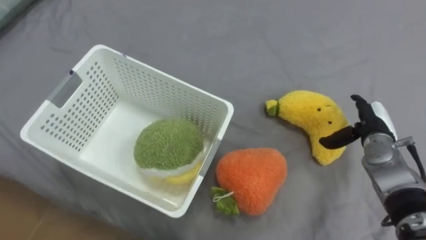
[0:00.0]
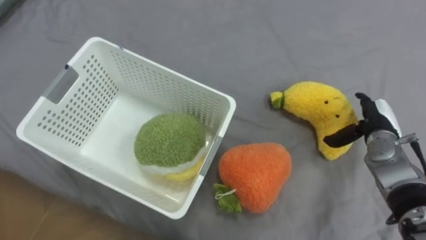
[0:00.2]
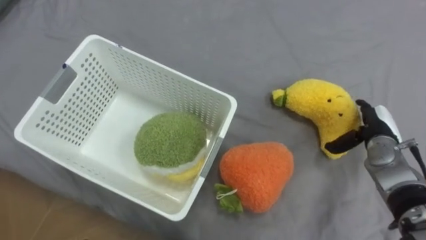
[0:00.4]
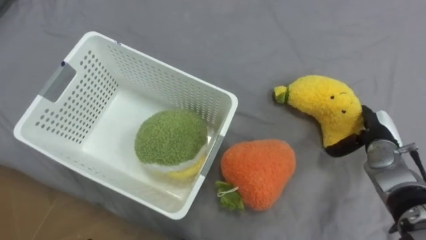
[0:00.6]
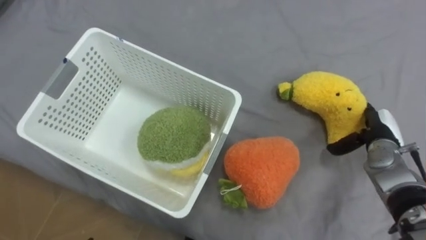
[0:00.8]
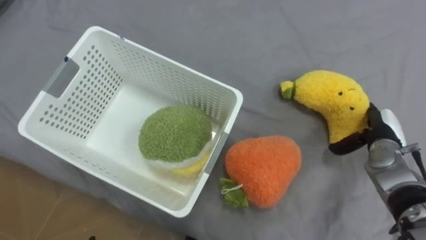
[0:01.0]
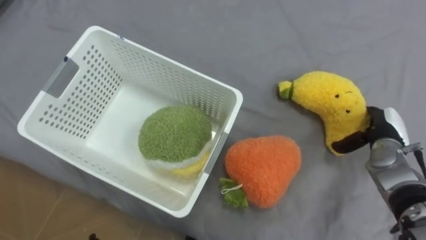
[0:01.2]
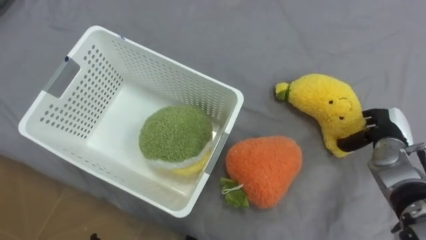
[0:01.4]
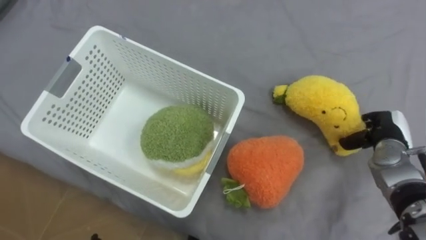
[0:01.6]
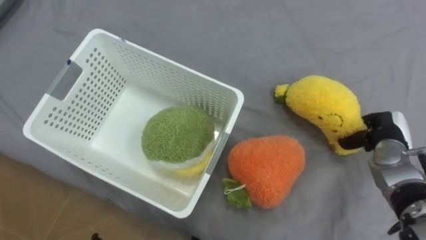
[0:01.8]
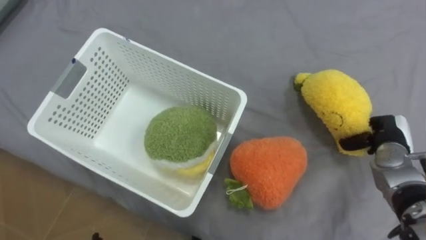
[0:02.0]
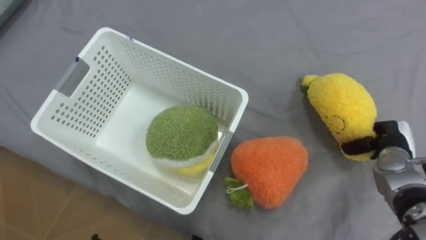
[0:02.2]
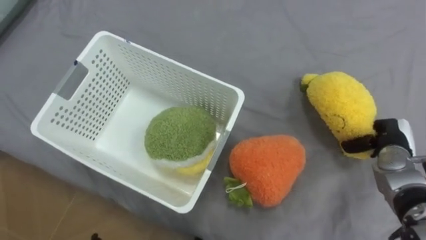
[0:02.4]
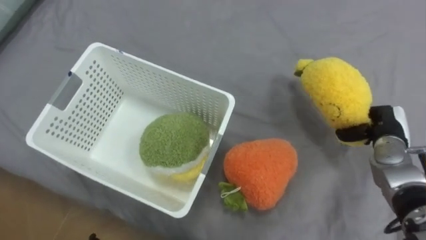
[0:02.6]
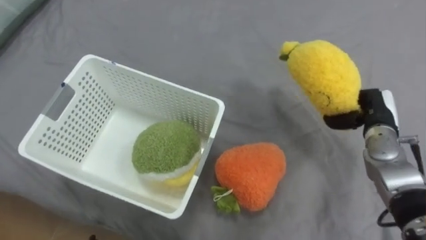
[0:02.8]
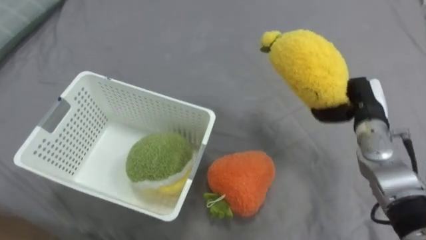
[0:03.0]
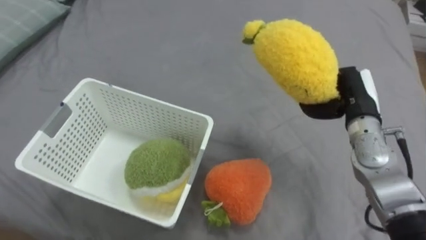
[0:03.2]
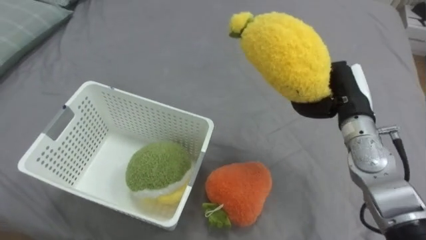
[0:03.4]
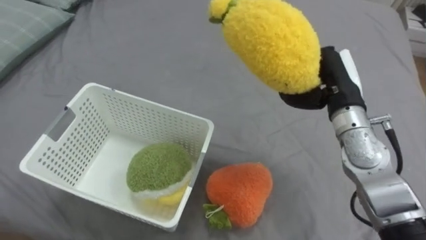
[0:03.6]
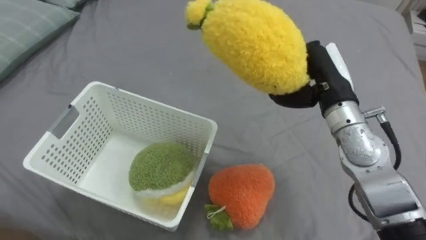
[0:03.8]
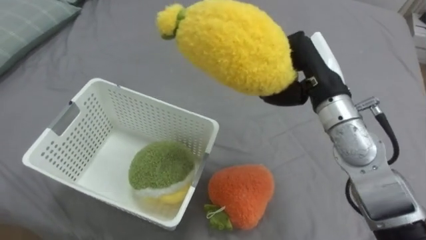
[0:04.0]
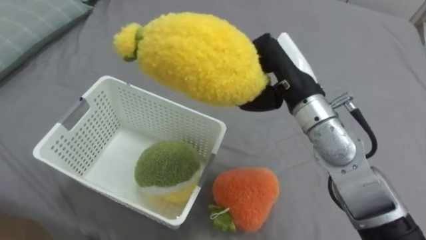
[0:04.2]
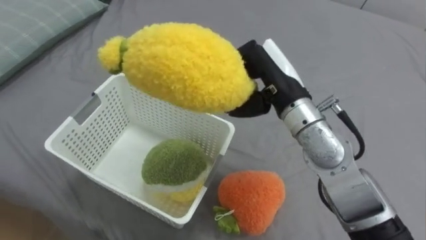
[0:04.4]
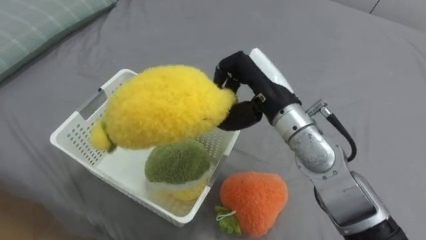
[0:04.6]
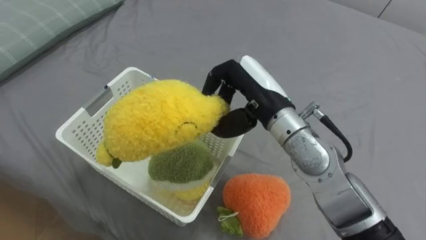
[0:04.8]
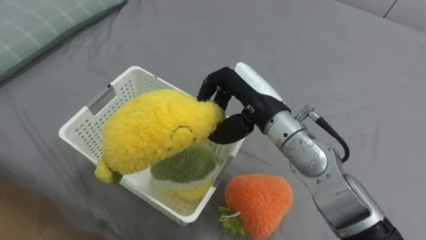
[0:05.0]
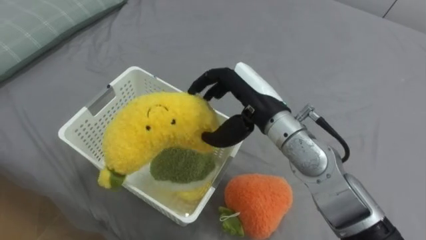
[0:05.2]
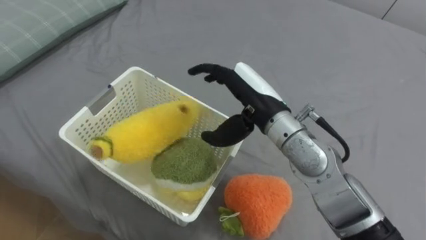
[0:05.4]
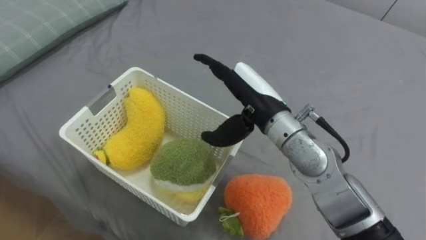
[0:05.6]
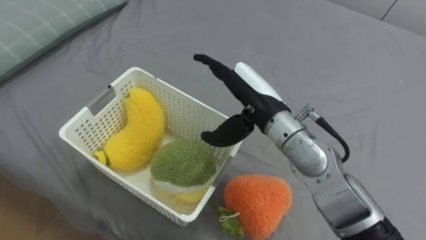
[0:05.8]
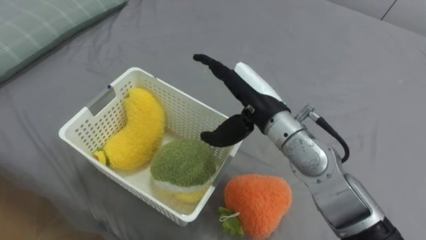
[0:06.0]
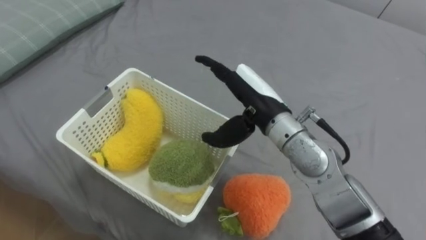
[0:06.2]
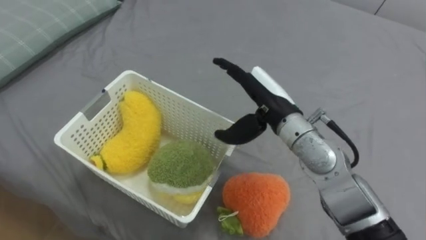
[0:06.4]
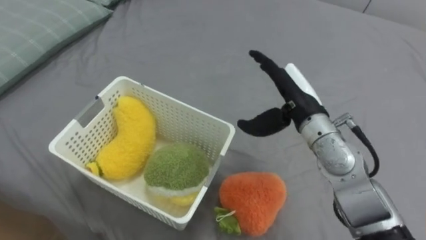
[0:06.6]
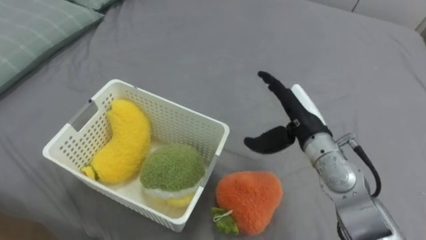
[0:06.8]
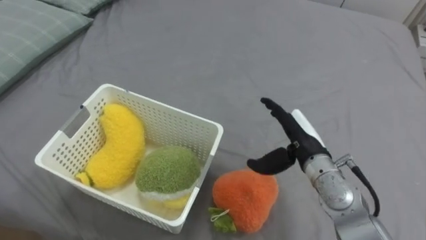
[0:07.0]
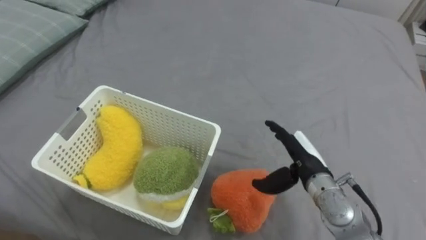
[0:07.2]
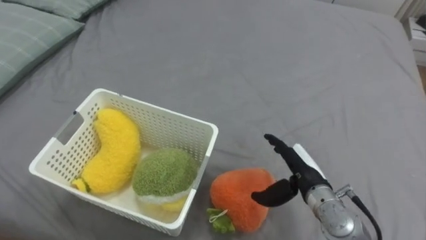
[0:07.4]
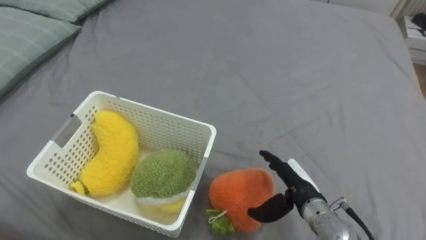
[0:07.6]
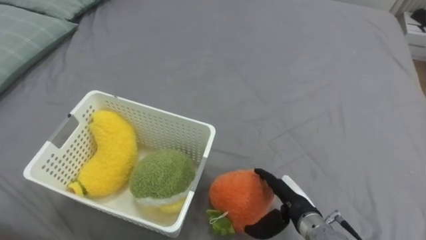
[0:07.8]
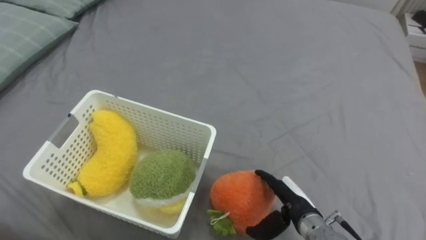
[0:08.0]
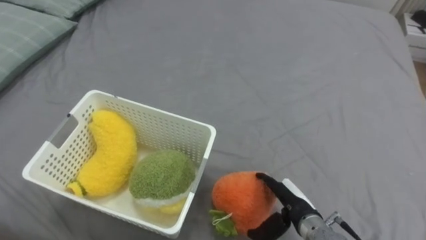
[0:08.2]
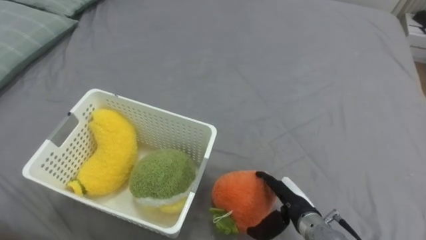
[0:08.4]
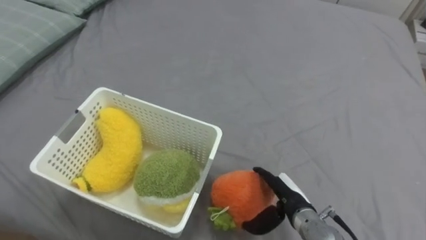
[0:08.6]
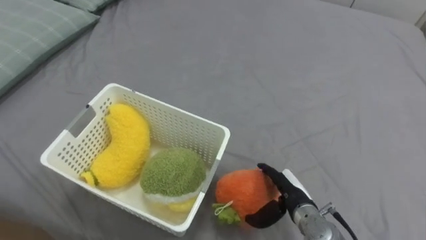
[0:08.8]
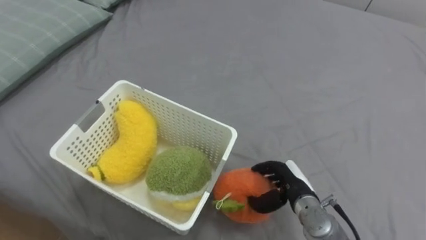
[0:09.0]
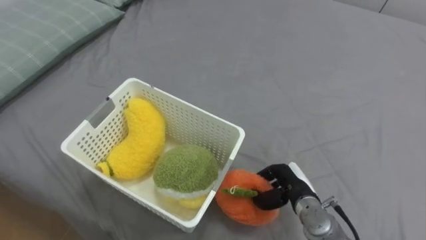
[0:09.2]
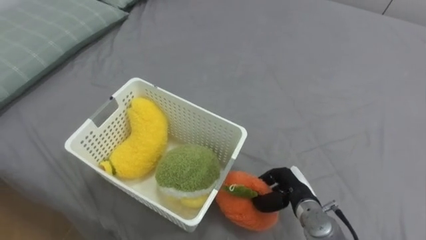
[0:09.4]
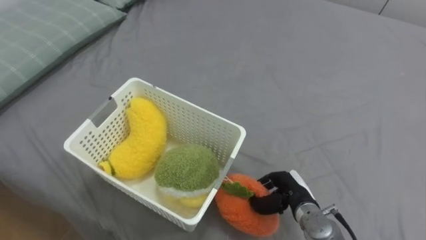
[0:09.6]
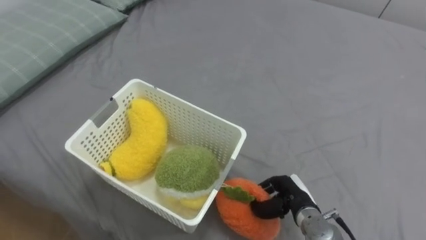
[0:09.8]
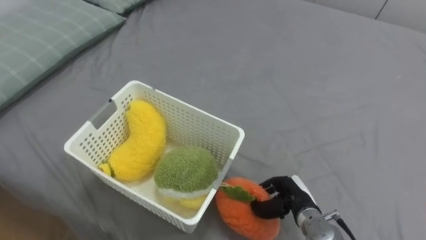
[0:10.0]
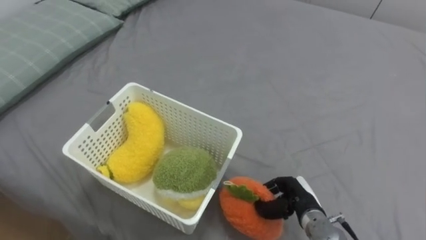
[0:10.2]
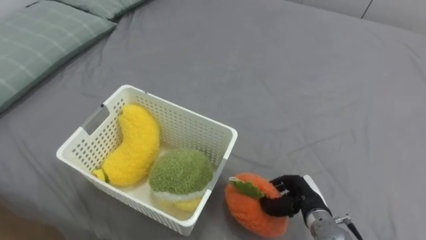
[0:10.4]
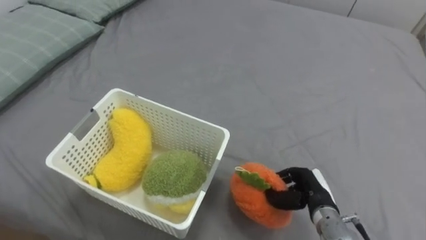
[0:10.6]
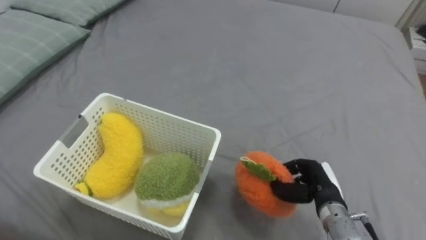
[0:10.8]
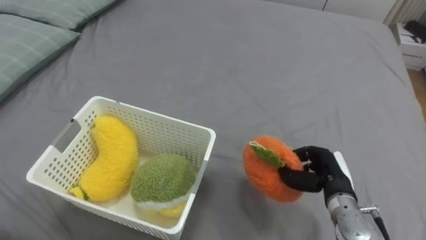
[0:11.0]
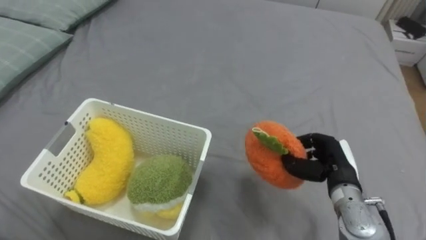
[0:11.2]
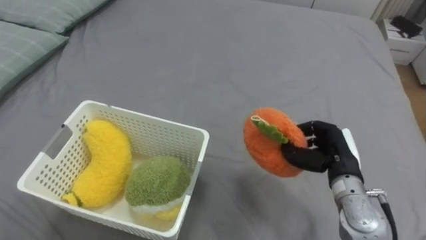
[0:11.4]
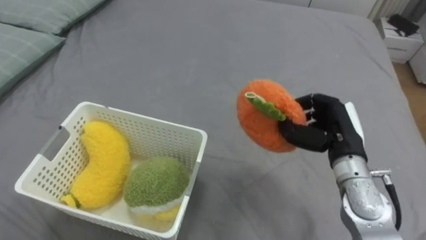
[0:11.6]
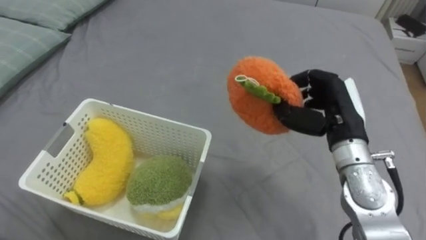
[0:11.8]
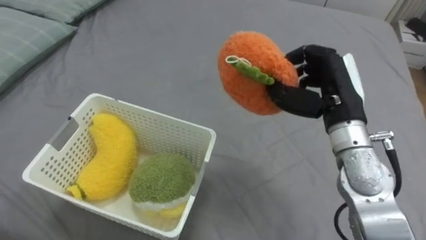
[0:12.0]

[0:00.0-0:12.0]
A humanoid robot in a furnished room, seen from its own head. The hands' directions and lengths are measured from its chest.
Task of the whole recording: Put the toys on the bed into the basket on the left.
0:00.0 to 0:01.6: The right hand closes its fingers.
0:01.6 to 0:03.0: The right hand goes about 10 cm to the left and upward.
0:03.0 to 0:04.4: The right hand goes some 25 cm to the left and upward.
0:04.4 to 0:06.0: The right hand opens up.
0:06.0 to 0:07.6: The right hand goes roughly 20 cm downward and to the right.
0:09.0 to 0:10.4: The right hand closes.
0:10.4 to 0:12.0: The right hand travels upward by roughly 25 cm.

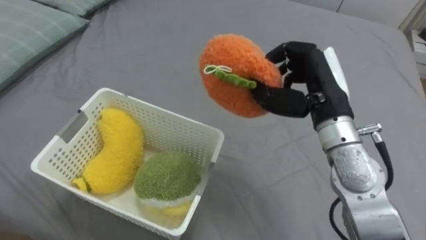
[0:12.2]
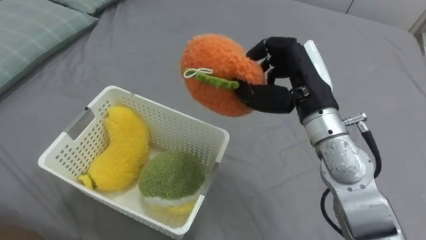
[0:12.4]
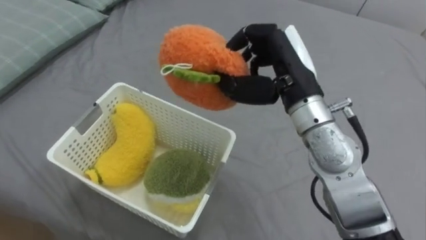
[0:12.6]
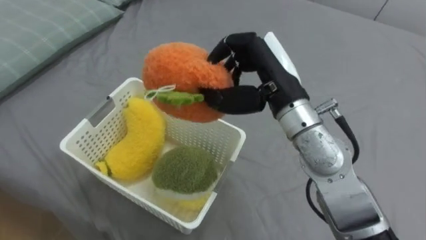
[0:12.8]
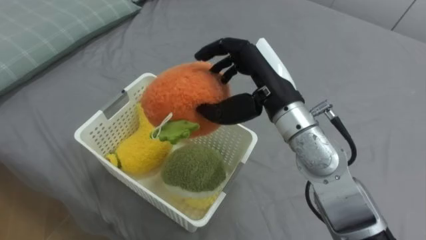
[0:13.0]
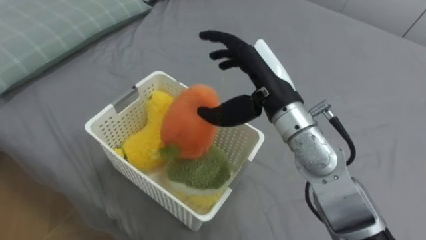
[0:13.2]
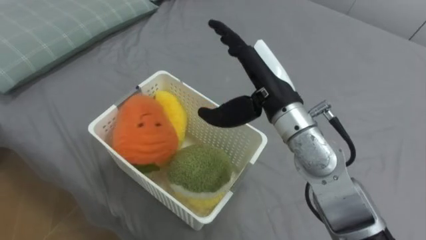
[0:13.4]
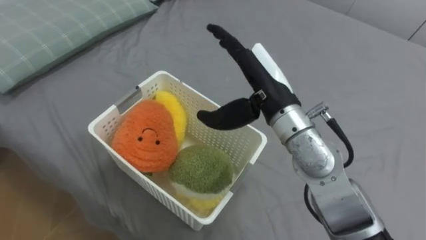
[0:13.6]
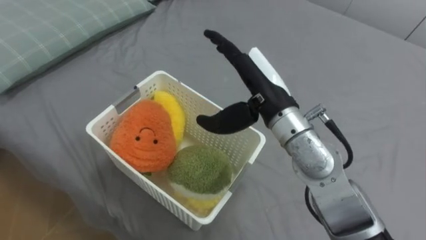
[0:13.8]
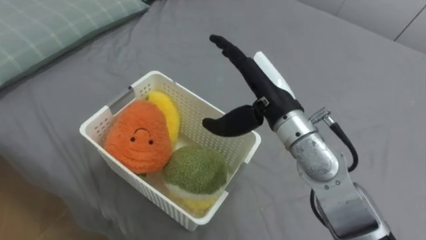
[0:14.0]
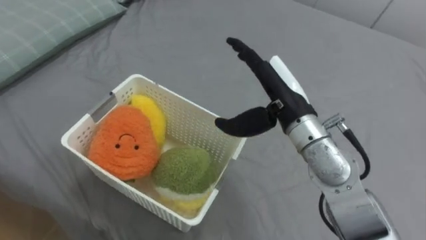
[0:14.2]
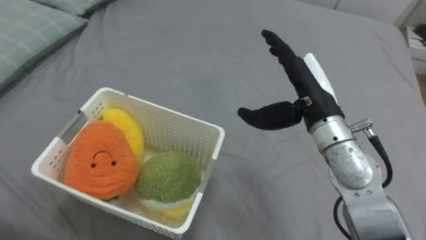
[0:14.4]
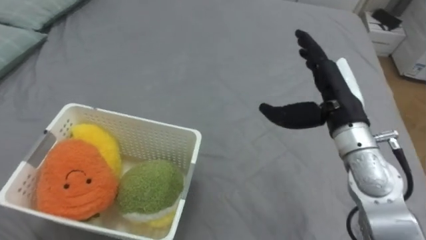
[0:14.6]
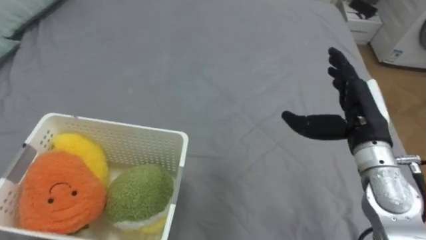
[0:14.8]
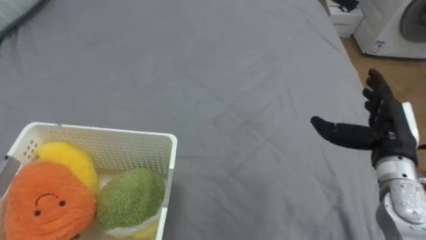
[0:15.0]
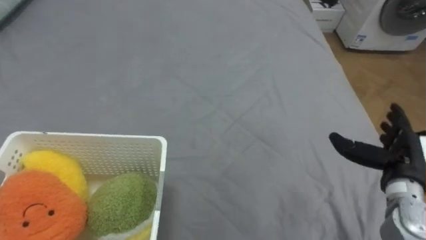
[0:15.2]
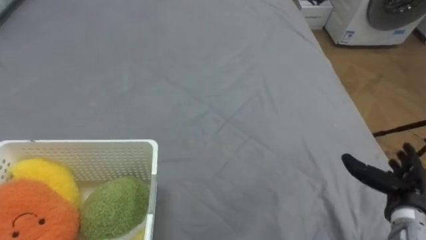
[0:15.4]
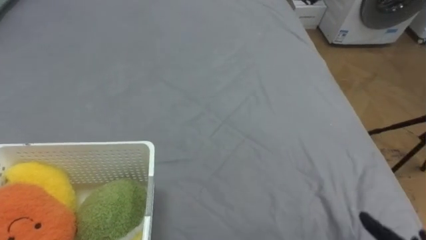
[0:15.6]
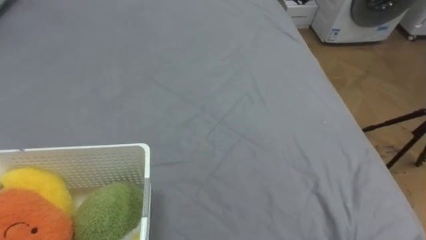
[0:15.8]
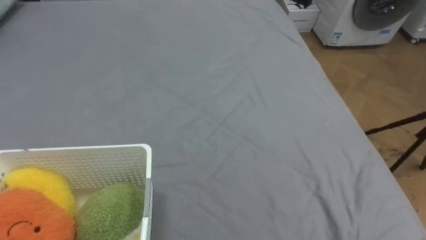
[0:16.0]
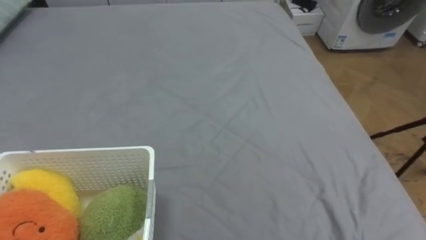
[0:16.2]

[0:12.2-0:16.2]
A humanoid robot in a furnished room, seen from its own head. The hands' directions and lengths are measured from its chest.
Task of the whole recording: Put the toys on the bed into the basket on the left.
0:12.2 to 0:13.6: The right hand is displaced to the left by roughly 10 cm, and opens up.
0:13.6 to 0:14.8: The right hand shifts approximately 15 cm to the right.

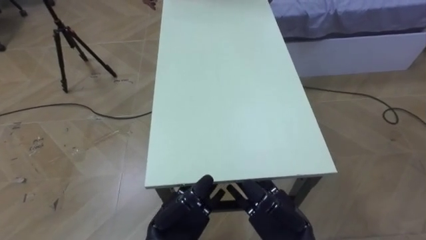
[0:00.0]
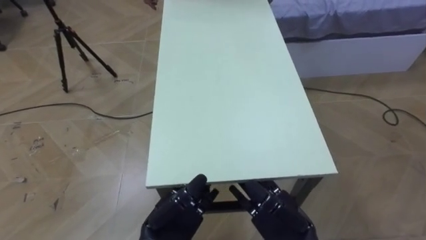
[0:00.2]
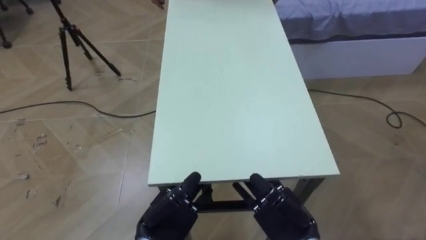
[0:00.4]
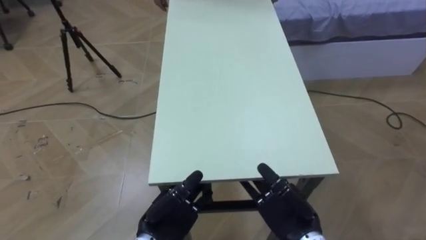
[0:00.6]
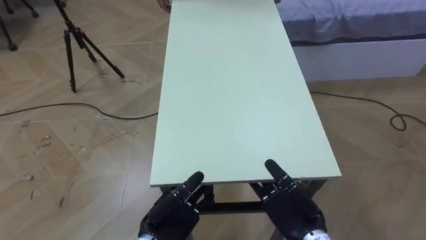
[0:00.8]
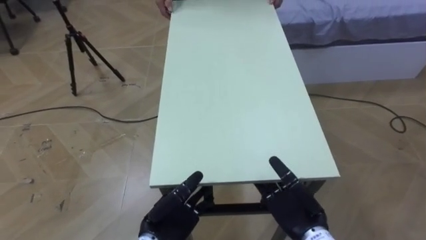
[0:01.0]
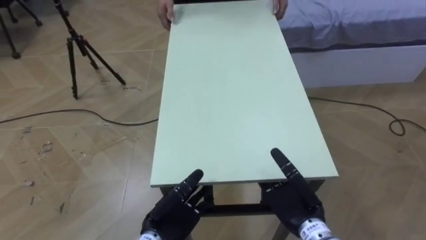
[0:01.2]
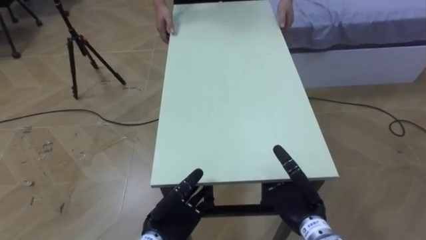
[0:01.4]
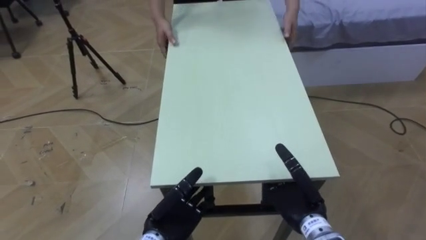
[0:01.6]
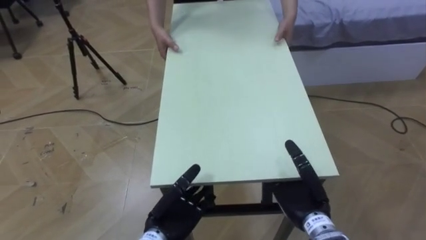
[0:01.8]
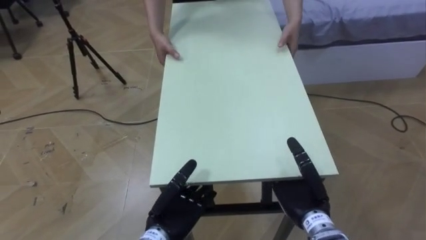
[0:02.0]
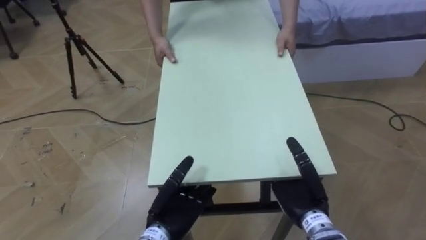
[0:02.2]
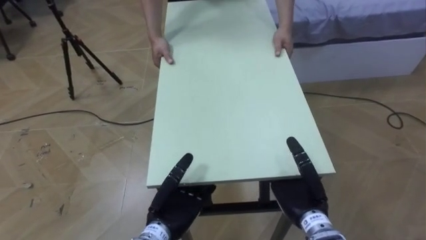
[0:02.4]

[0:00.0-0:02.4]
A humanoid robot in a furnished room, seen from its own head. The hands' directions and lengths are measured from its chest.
Task of the whole recording: Move the table to the back left with someone.
0:00.0 to 0:01.2: The right hand ends up some 5 cm from where it was.
0:01.2 to 0:02.4: There are only small adjustments of the hands.
